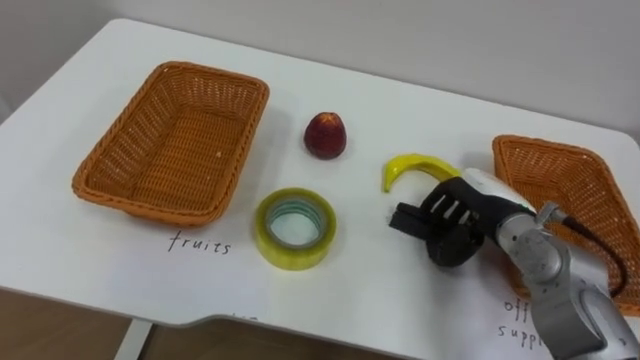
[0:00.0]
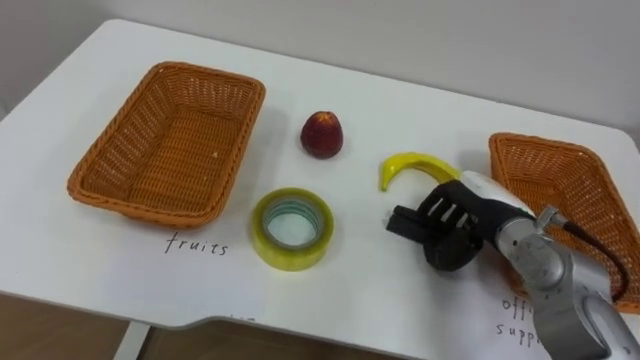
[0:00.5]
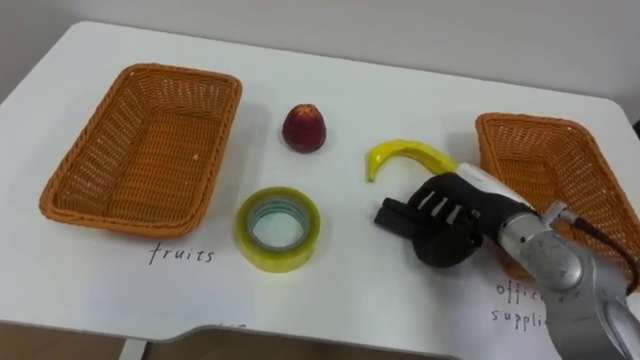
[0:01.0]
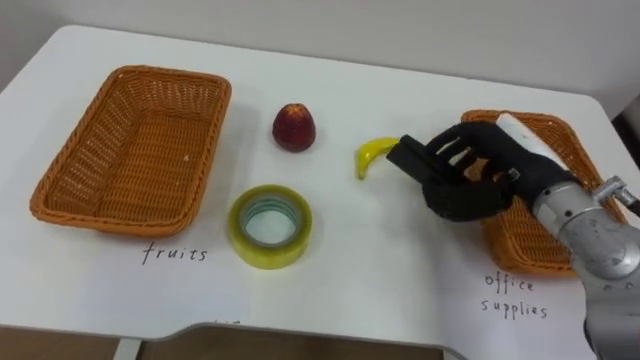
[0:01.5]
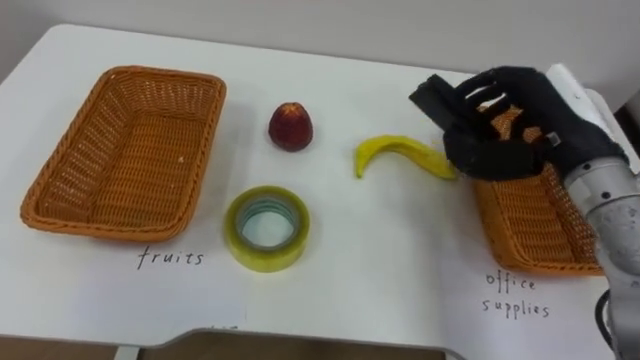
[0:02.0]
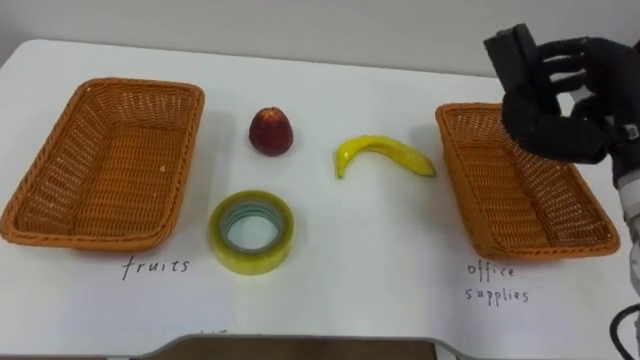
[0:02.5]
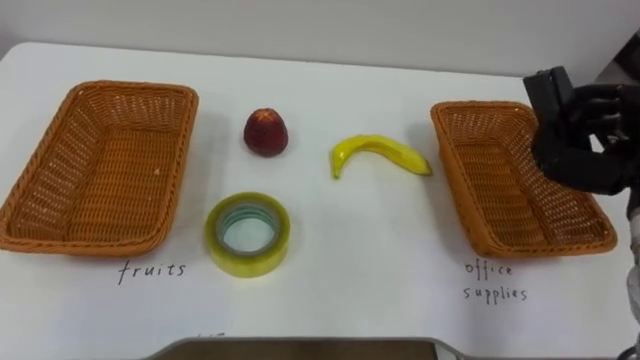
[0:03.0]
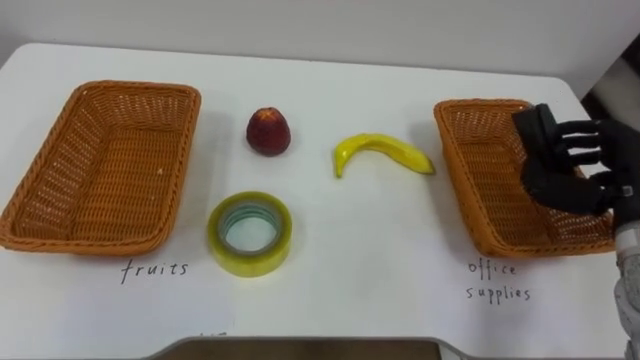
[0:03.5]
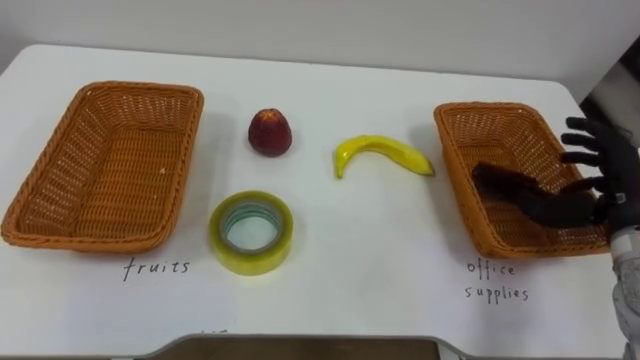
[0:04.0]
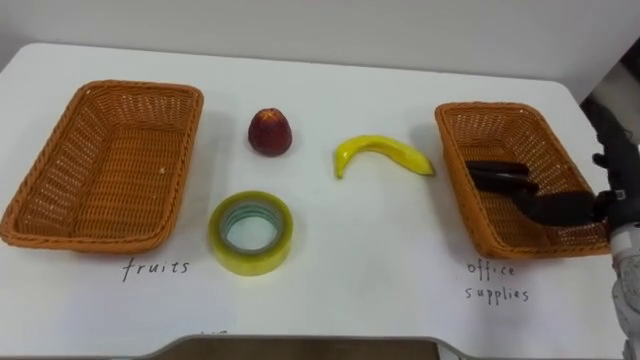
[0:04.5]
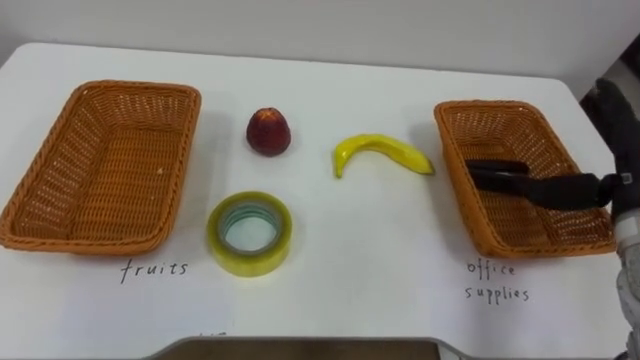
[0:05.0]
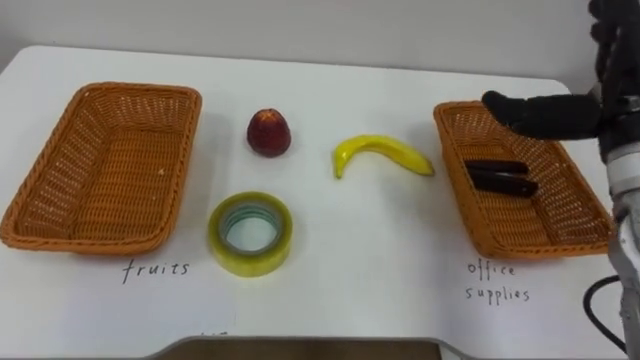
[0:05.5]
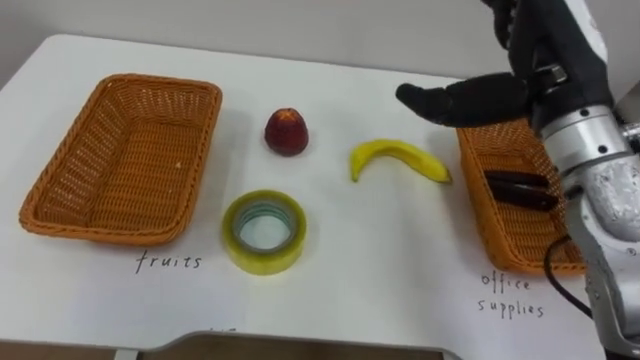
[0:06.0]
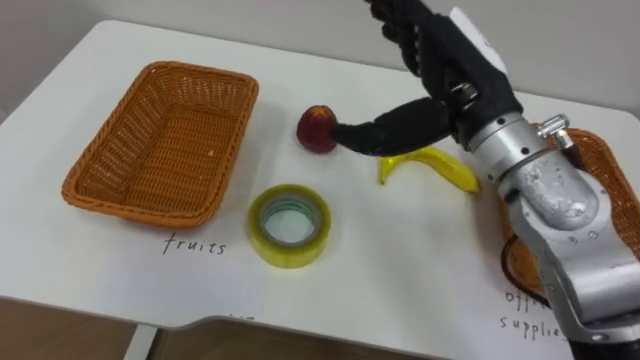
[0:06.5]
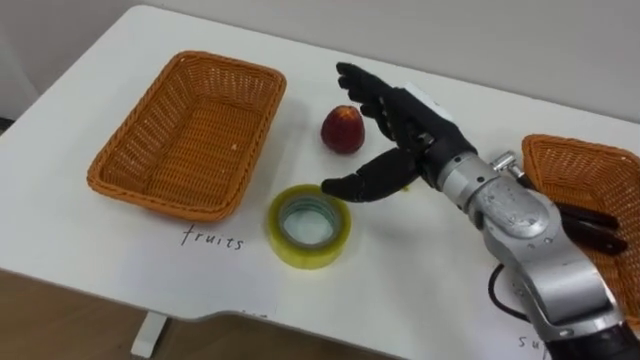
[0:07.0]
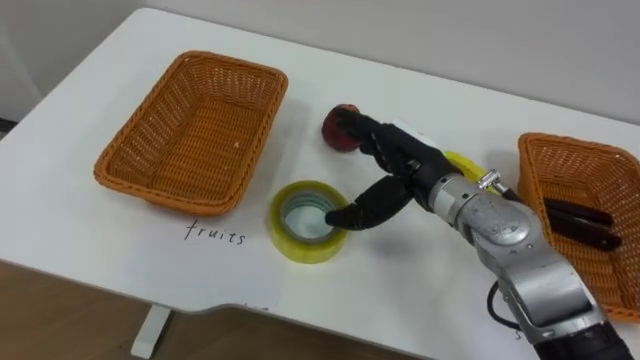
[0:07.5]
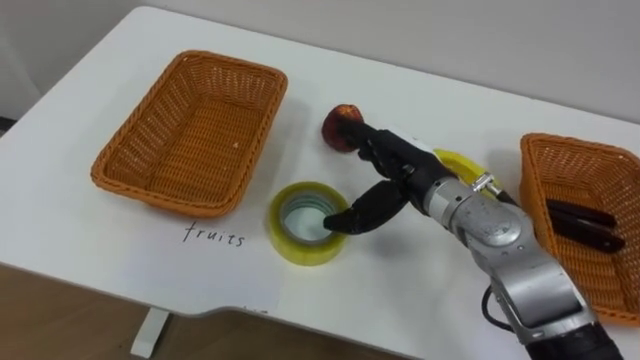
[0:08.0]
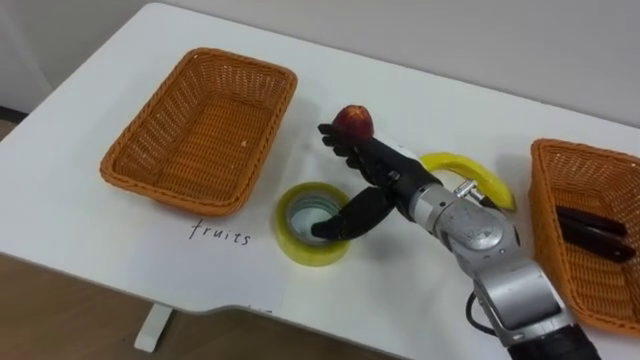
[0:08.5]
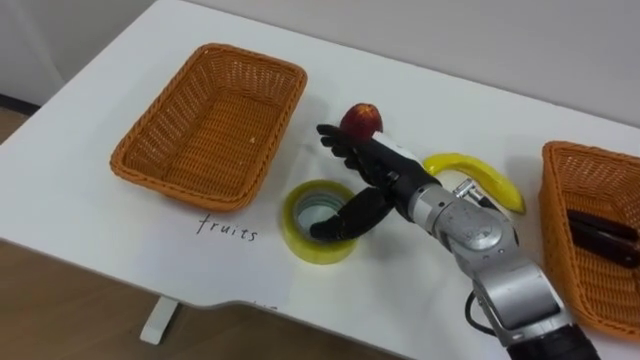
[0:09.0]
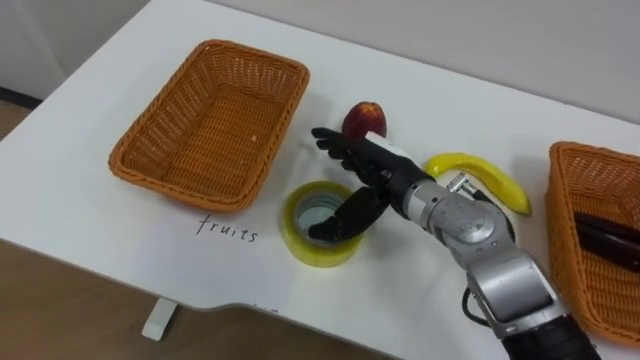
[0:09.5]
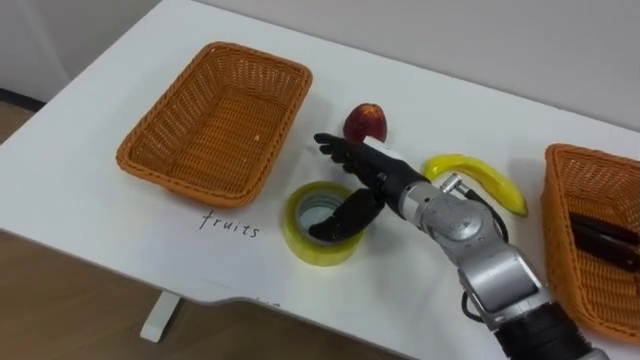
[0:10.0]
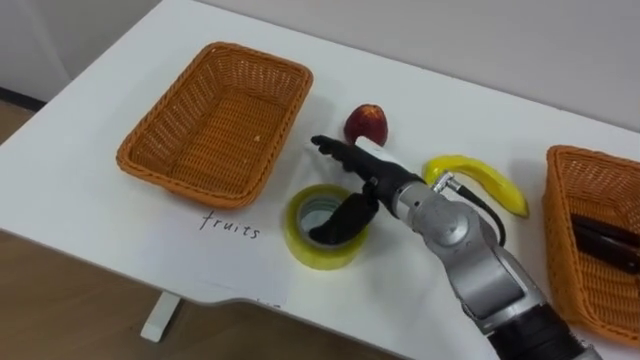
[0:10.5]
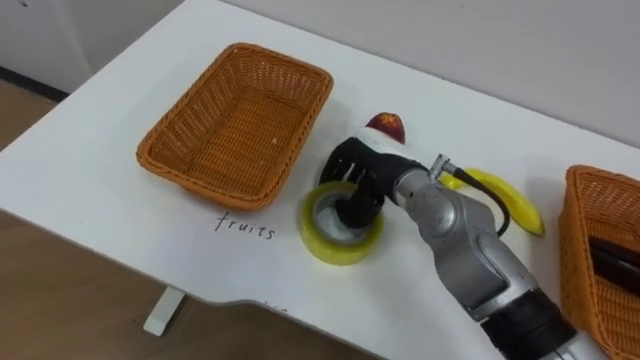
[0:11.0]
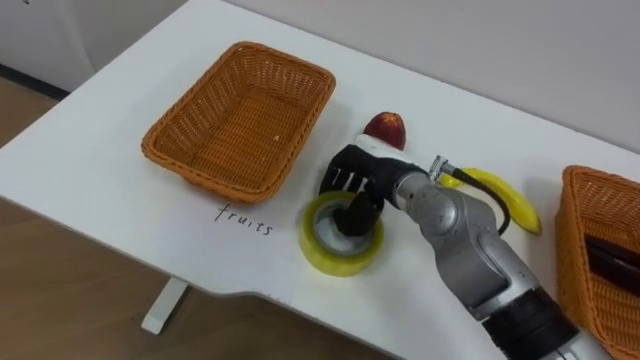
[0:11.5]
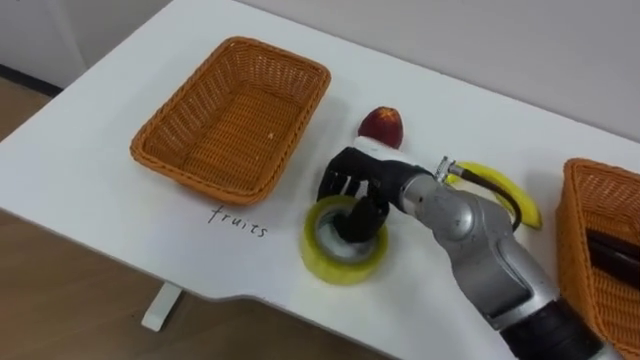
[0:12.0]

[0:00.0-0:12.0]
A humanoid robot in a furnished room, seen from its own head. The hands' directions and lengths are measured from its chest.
Task of the whole recording: Separate the items on the table and place them into the two baskets.
0:00.0 to 0:02.0: The right hand is displaced upward by roughly 15 cm.
0:04.0 to 0:06.0: The right hand is displaced upward and to the left by roughly 20 cm.
0:06.0 to 0:08.0: The right hand travels downward and to the left by about 20 cm.
0:10.0 to 0:12.0: The right hand closes up.

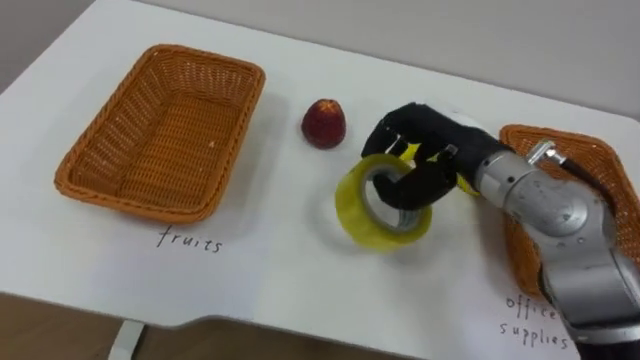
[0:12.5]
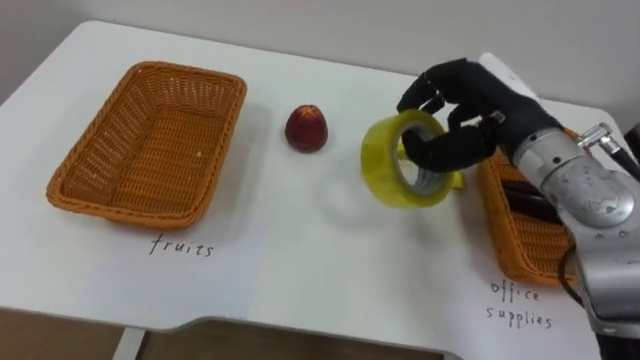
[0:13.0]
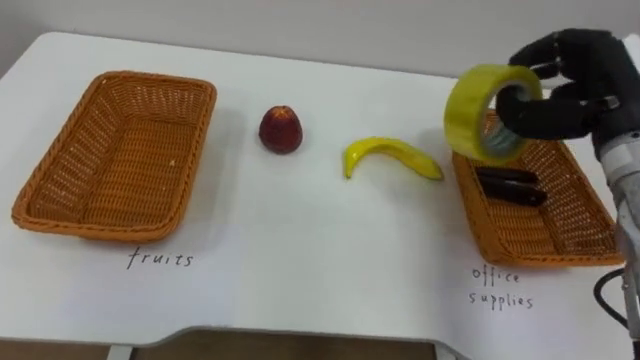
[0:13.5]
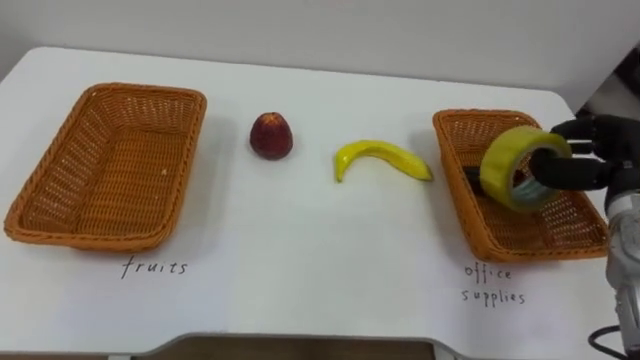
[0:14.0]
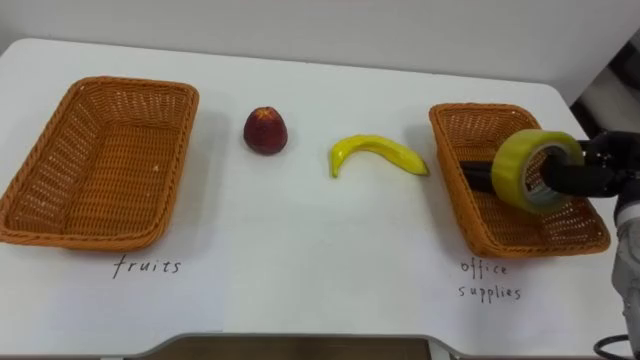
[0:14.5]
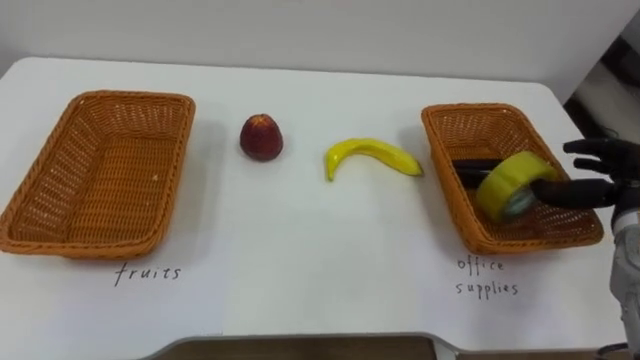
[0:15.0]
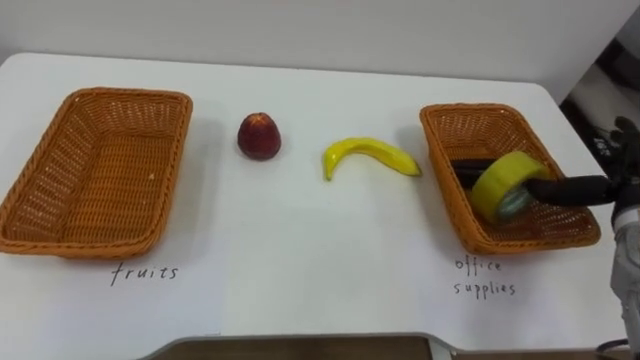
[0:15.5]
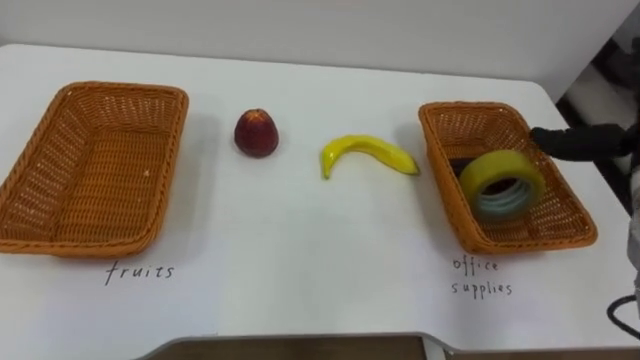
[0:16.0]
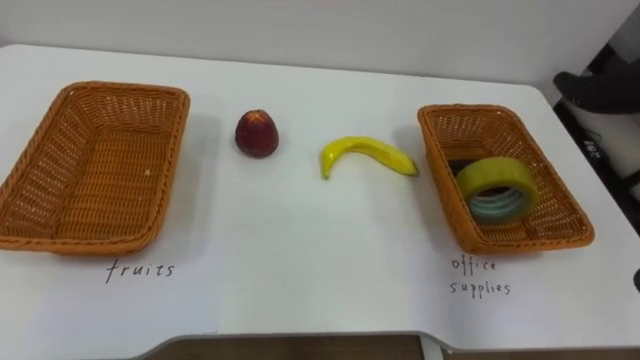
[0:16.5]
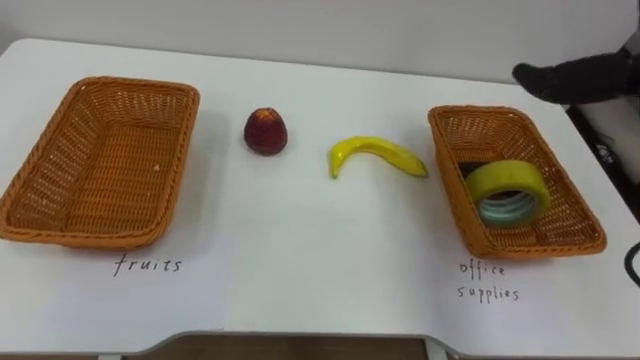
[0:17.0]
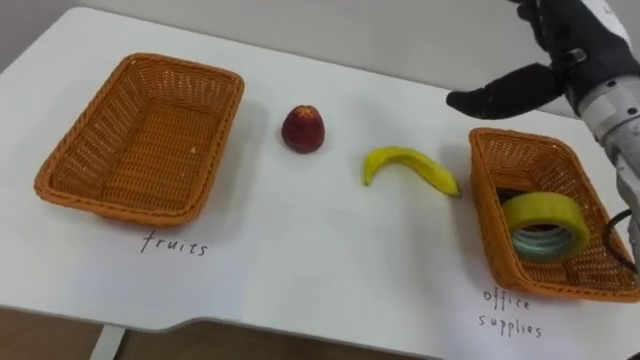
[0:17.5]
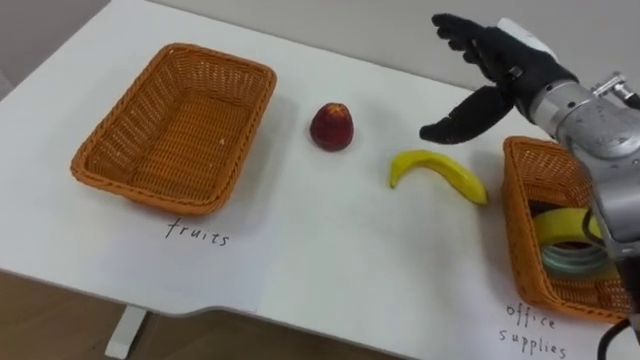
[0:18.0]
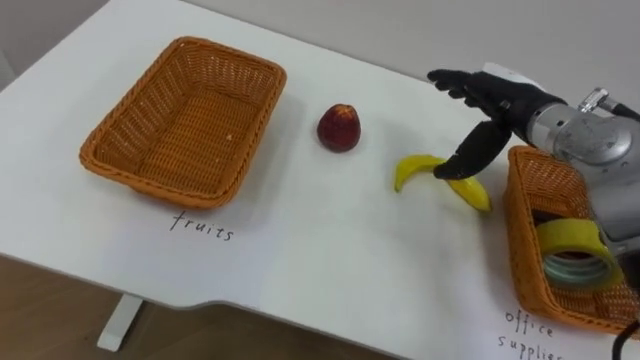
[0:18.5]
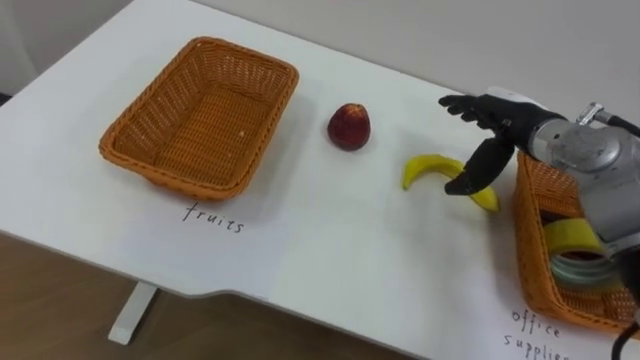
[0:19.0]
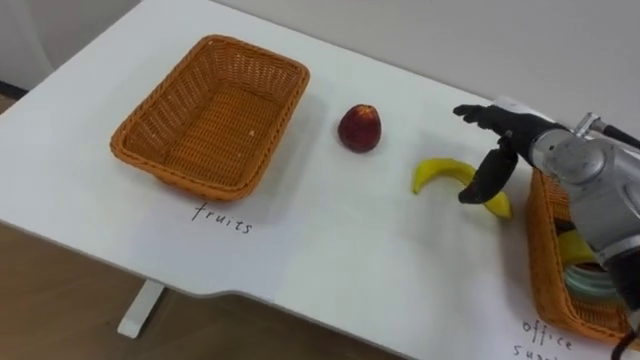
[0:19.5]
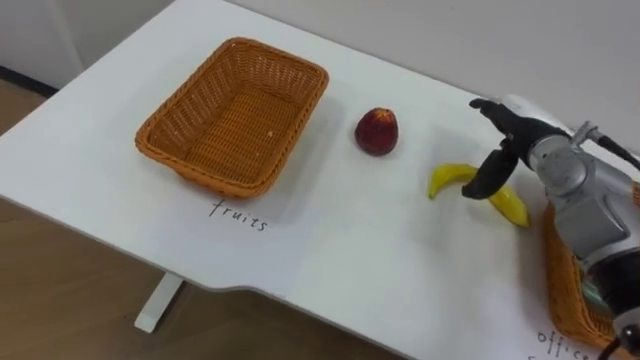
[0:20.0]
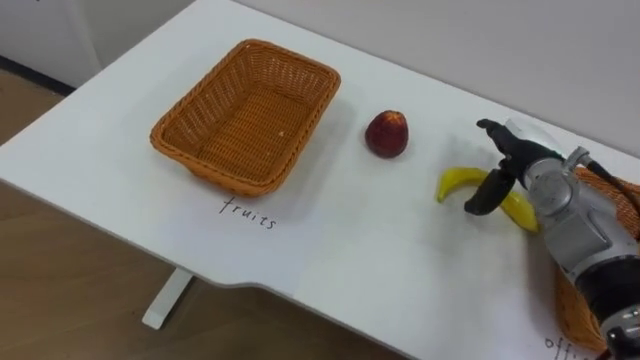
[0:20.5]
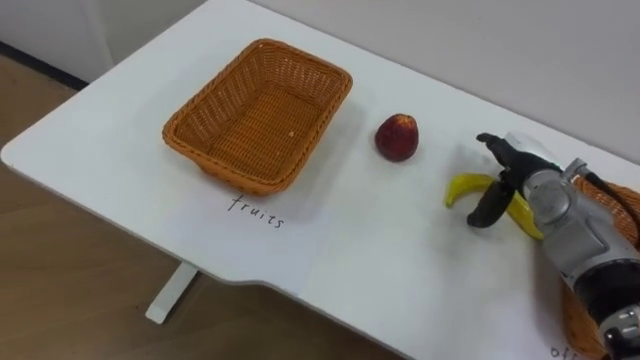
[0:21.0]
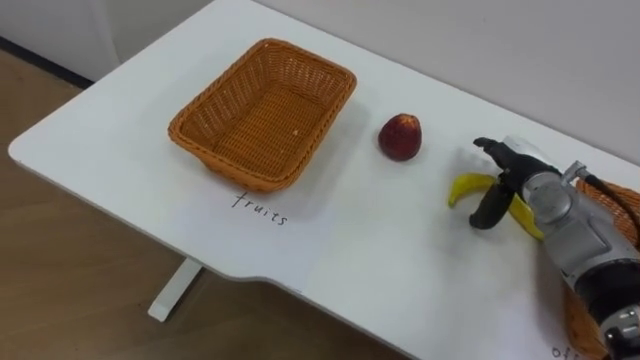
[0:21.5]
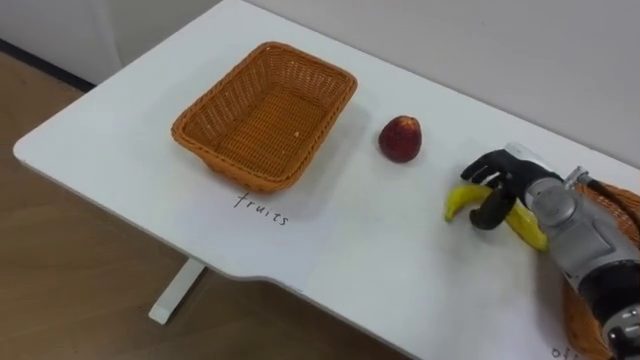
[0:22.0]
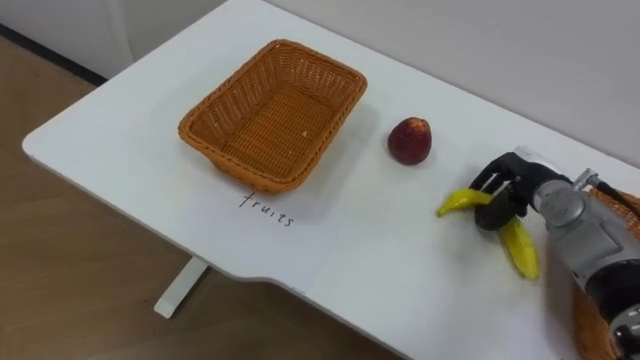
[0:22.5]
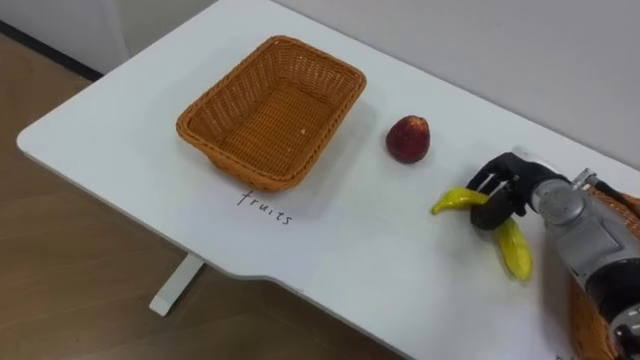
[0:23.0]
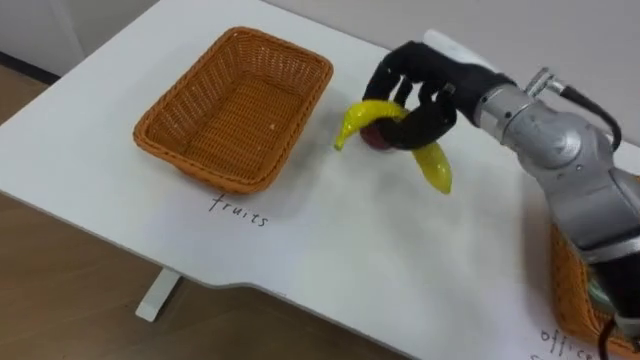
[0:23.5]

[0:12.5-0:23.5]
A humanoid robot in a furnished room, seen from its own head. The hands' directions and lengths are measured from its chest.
Task of the whole recording: Separate the items on the table and place them into the two baskets.
0:12.5 to 0:14.5: The right hand goes some 20 cm to the right.
0:18.0 to 0:20.0: The right hand heads downward, covering about 10 cm.
0:20.0 to 0:21.5: The right hand heads downward, covering some 5 cm.
0:21.5 to 0:23.5: The right hand travels upward and to the left by roughly 20 cm, and closes.
